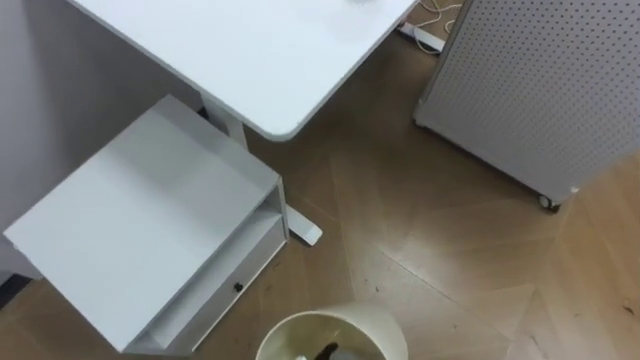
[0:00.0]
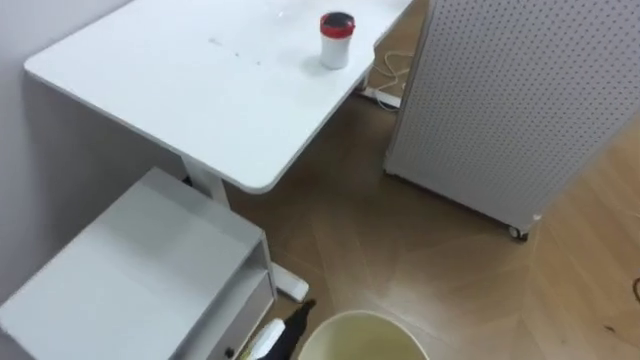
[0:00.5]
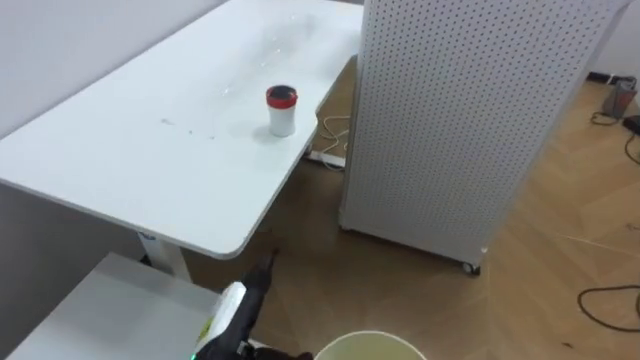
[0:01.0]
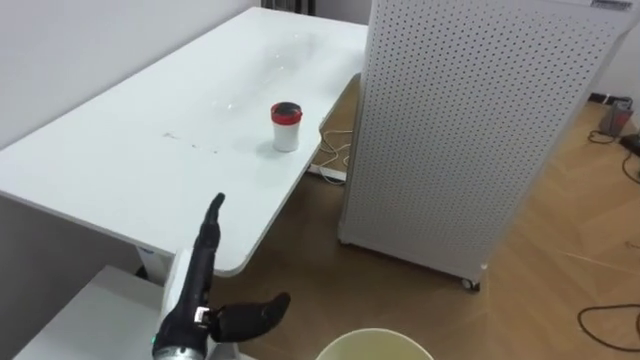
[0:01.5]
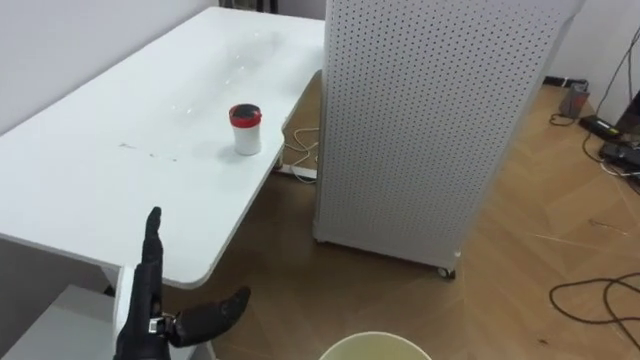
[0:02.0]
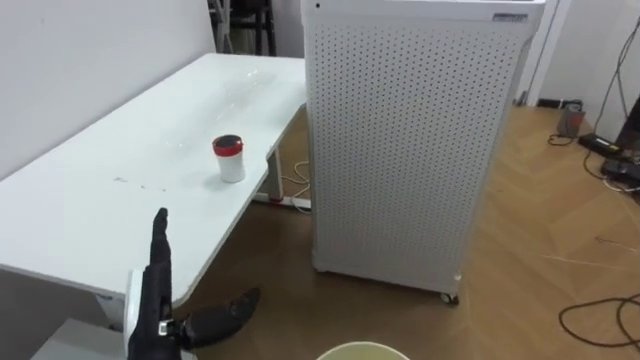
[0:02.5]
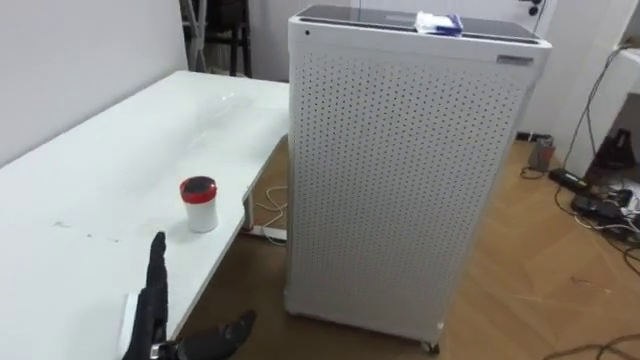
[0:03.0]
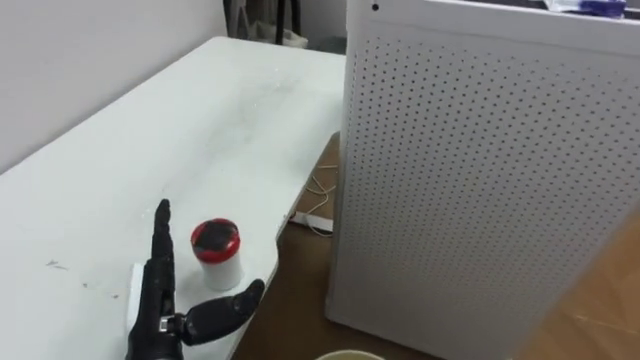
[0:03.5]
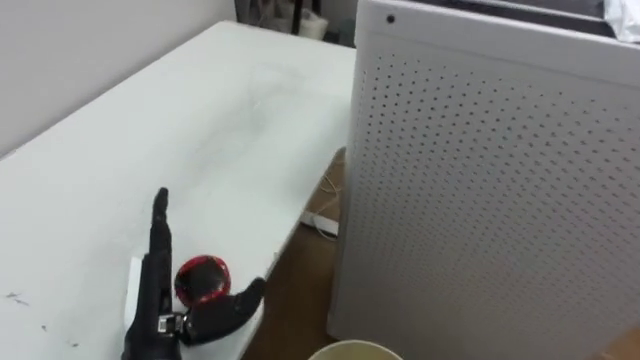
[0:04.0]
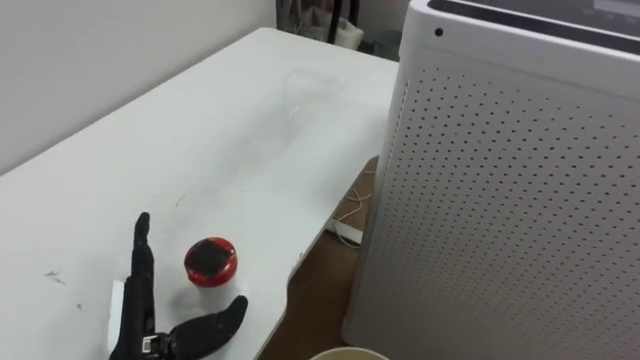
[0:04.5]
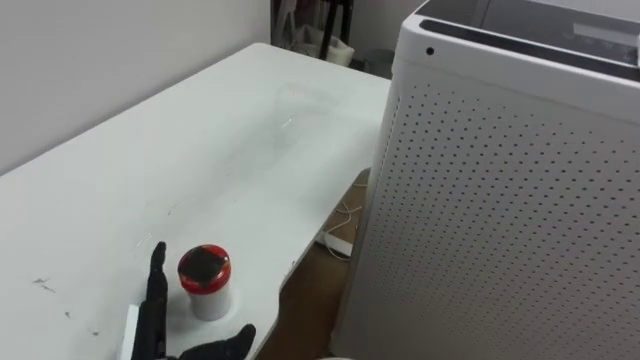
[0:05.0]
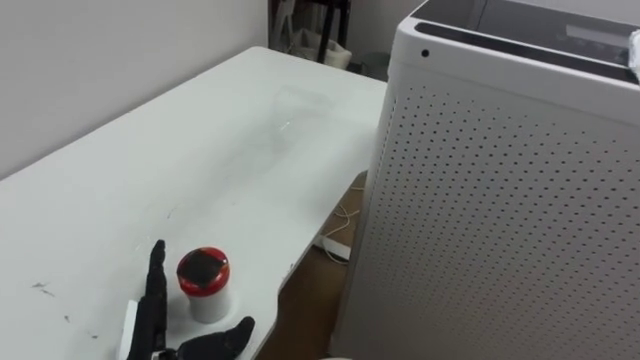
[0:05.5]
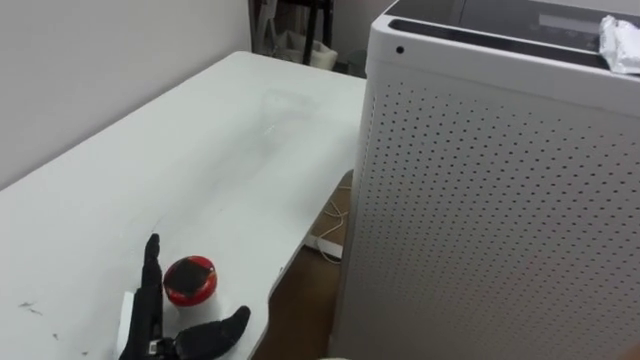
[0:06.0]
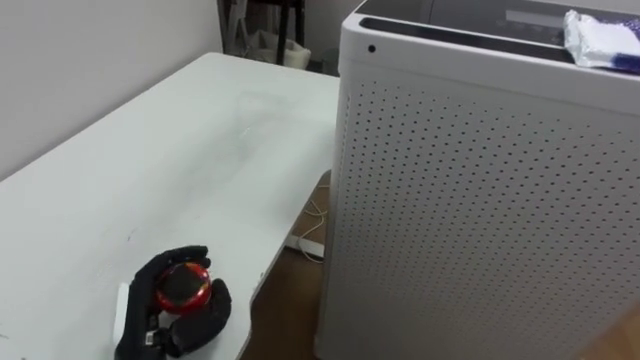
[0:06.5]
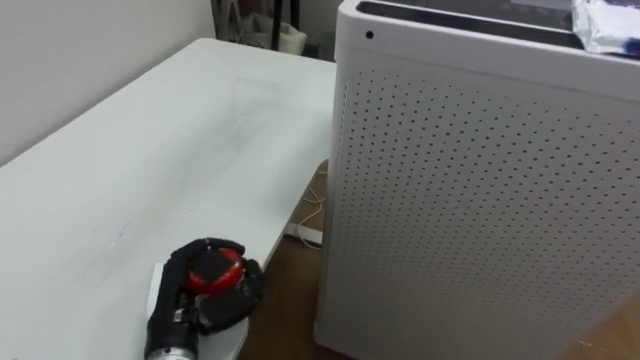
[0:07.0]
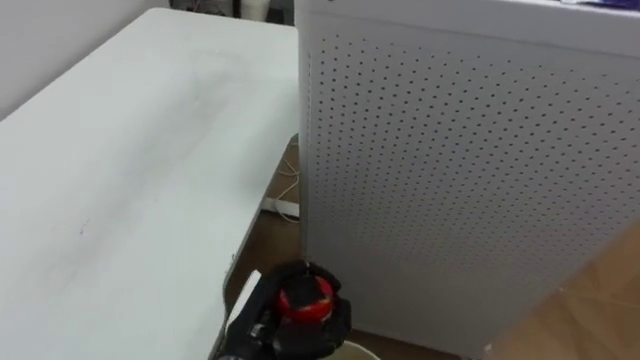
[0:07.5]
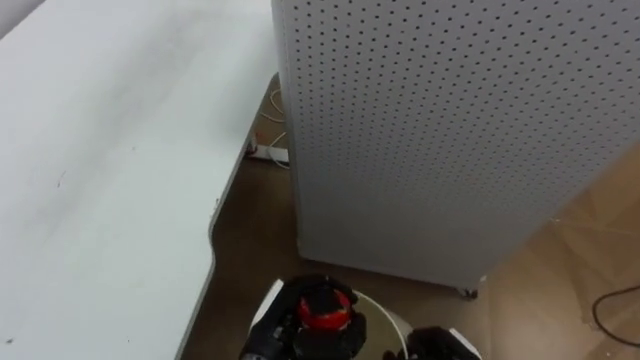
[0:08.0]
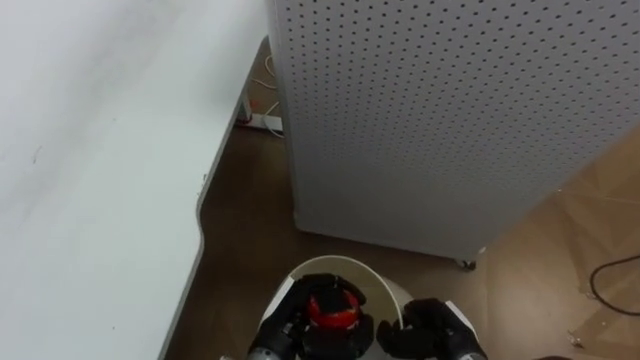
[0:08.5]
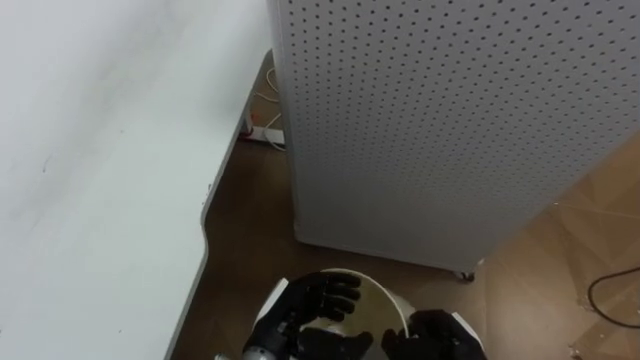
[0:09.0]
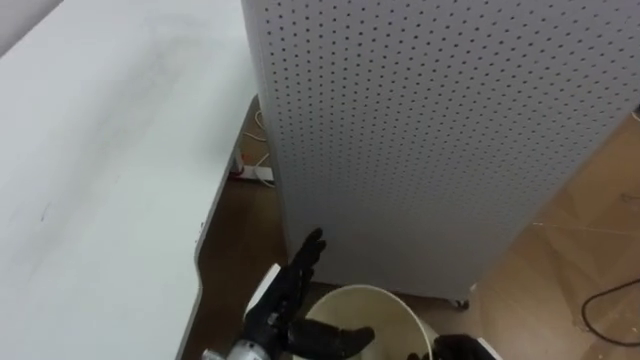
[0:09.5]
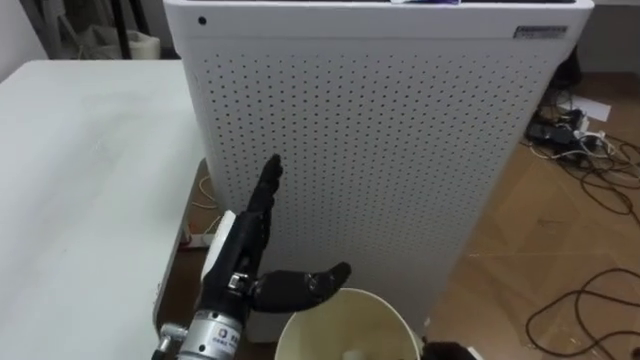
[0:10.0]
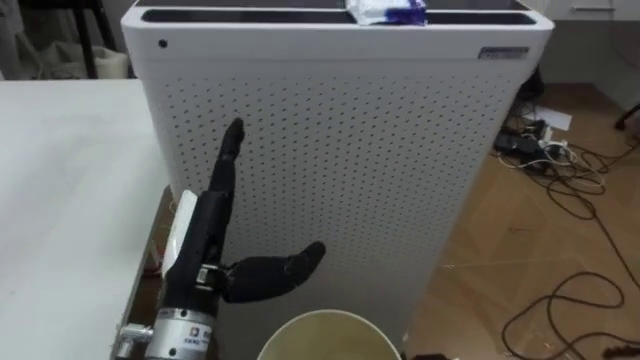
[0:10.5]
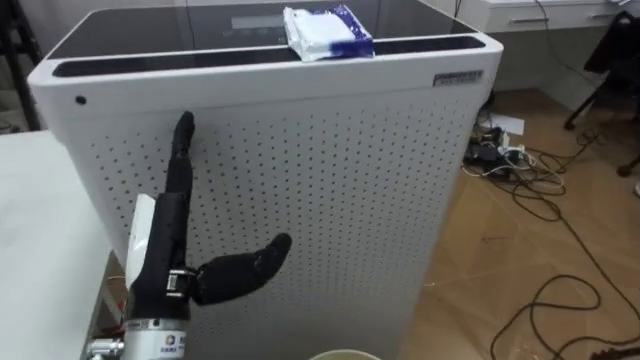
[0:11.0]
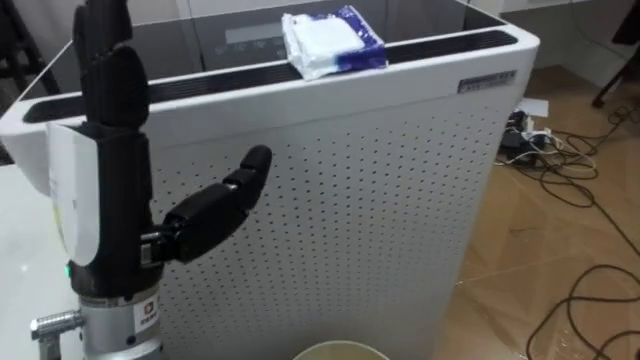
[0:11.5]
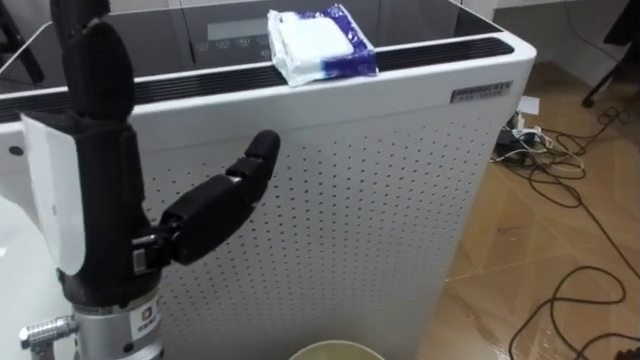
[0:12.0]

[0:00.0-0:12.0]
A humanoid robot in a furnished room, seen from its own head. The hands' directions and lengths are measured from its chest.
Task of the whole recording: Pick up the light blue package, the candy box, and the dark blue package separately, and put them into the trash can held in your right hand.
0:00.0 to 0:02.0: The robot faces some 25 degrees further to its right.
0:04.0 to 0:06.0: The left hand moves about 5 cm.
0:06.0 to 0:08.0: The left hand shifts roughly 15 cm to the right, and closes.
0:08.0 to 0:10.0: The left hand shifts approximately 10 cm upward, and opens its fingers.
0:10.0 to 0:12.0: The left hand goes roughly 20 cm upward and backward.

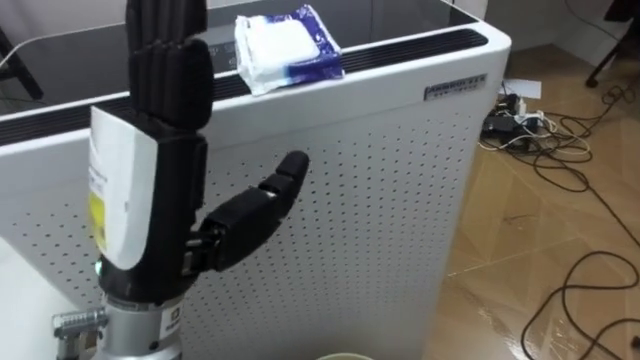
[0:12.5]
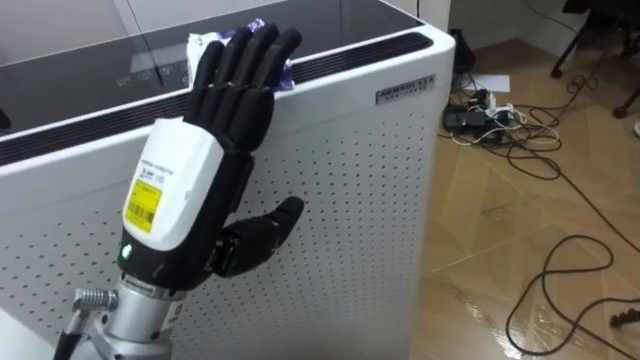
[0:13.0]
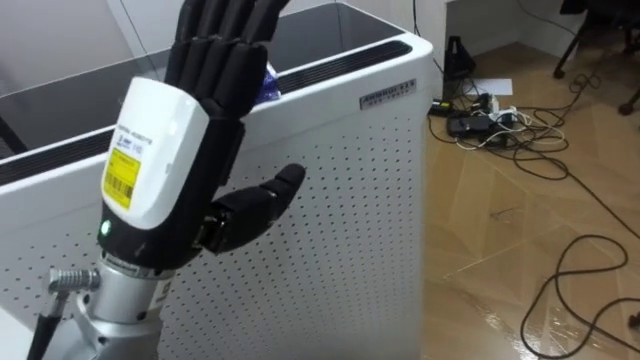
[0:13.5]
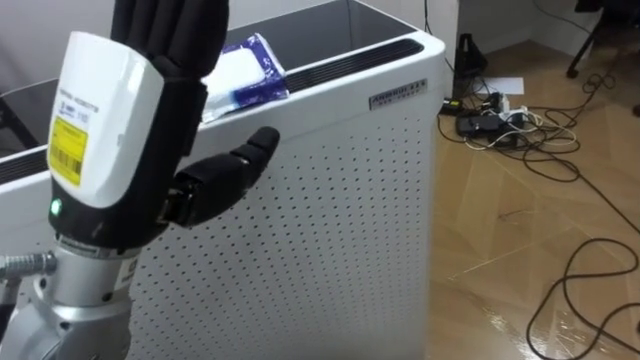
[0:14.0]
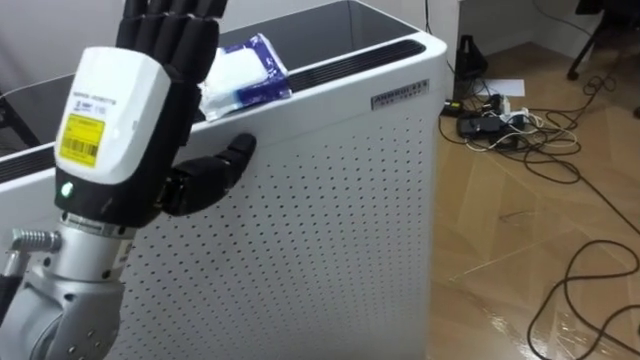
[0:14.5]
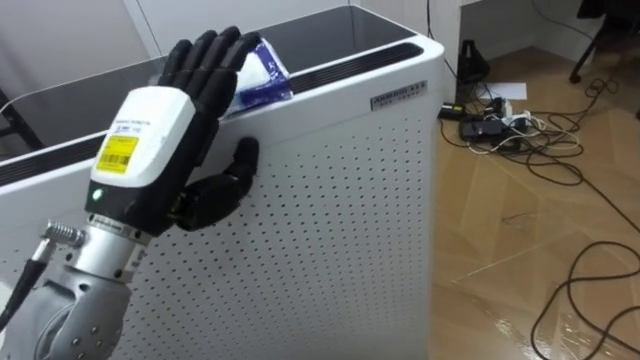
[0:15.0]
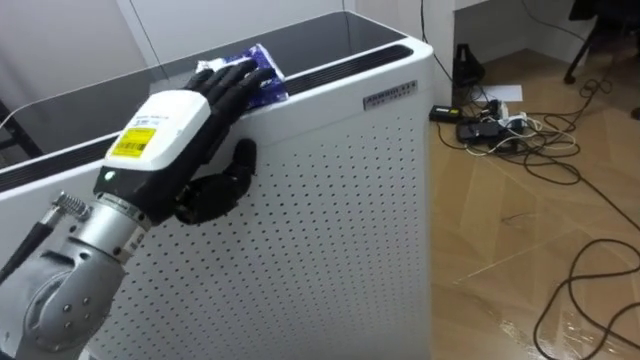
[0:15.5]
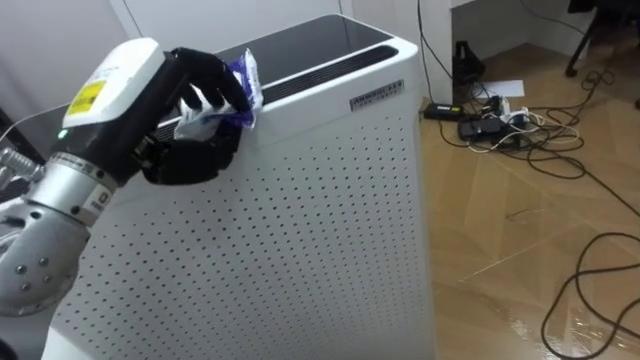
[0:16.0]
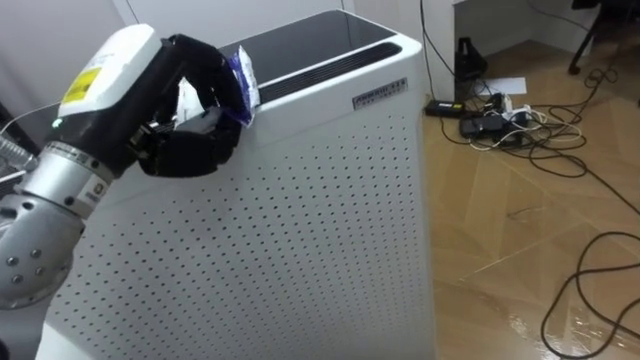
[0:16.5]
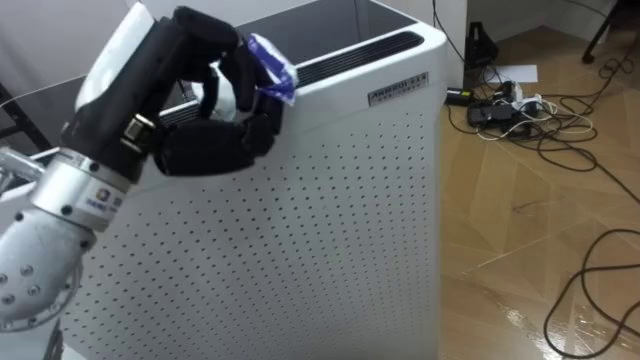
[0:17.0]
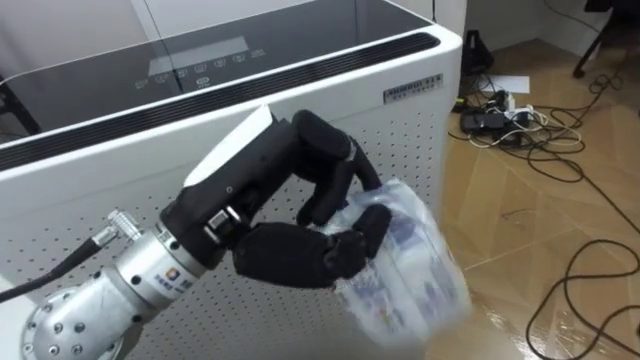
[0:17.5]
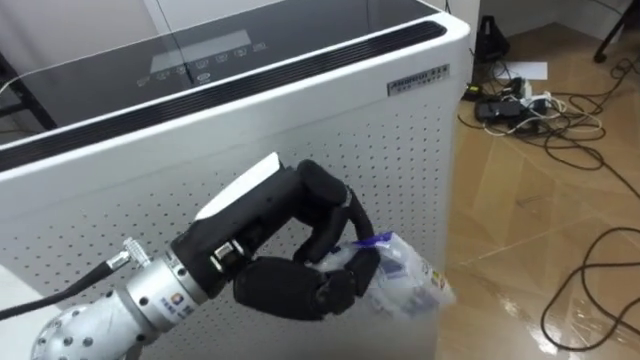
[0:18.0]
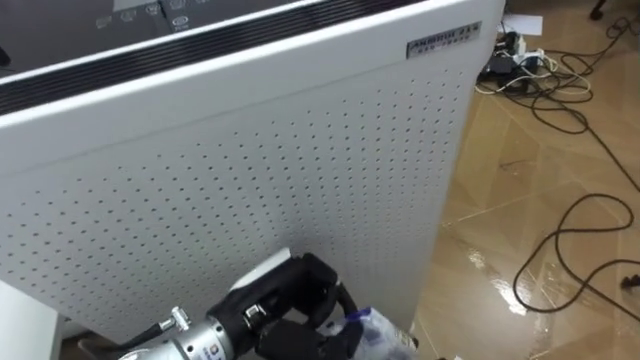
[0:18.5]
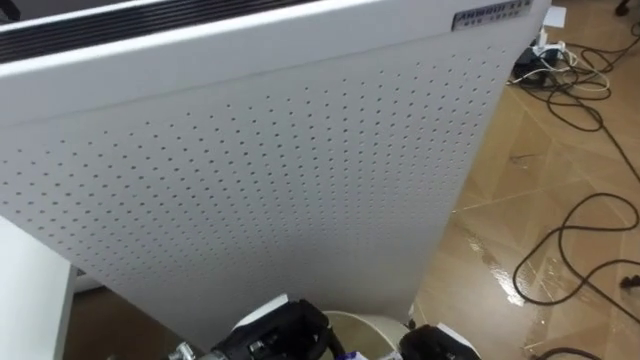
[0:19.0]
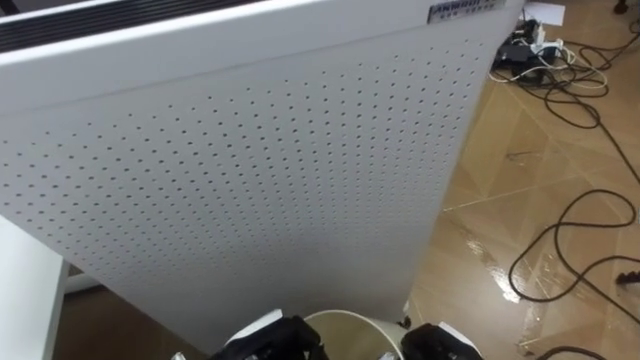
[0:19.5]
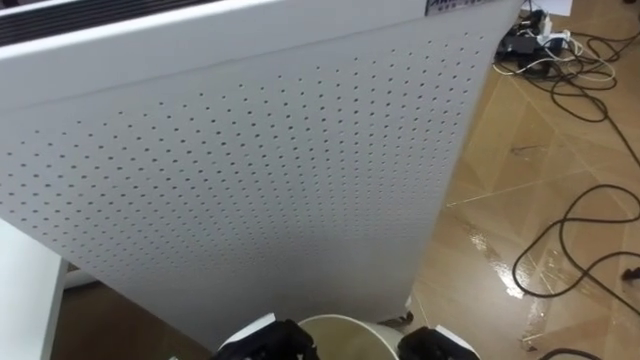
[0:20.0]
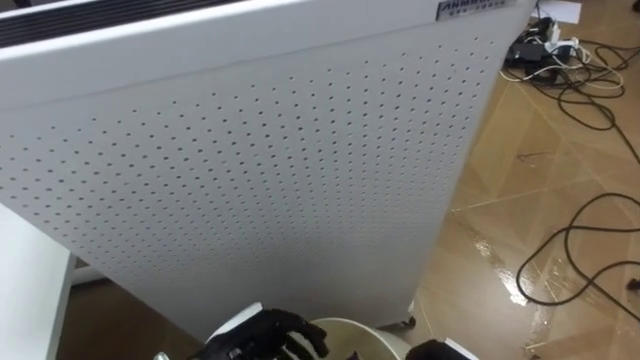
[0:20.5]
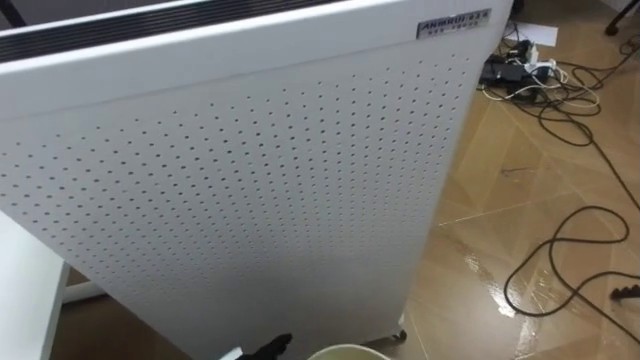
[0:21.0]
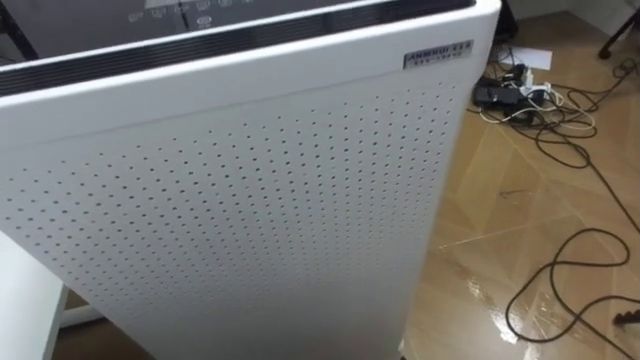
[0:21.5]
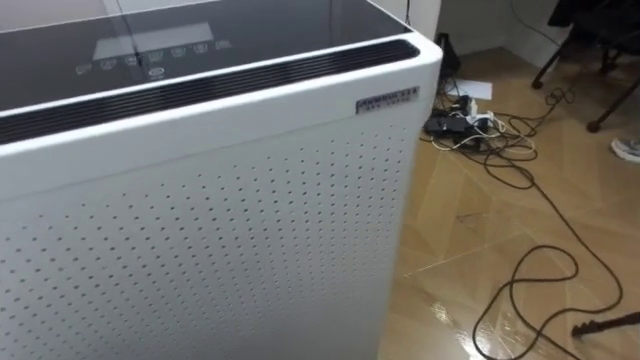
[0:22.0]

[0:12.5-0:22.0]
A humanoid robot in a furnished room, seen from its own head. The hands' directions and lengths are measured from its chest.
Task of the whole recording: Pick up the light blue package, the candy box, and the dark blue package separately, and put them into the trash can held in your right hand.
0:12.5 to 0:14.5: The left hand moves approximately 5 cm.
0:14.5 to 0:16.5: The left hand travels forward by some 5 cm, and closes.
0:16.5 to 0:18.0: The left hand shifts some 15 cm to the right, backward and downward.
0:18.0 to 0:20.0: The left hand is displaced downward by some 25 cm.
